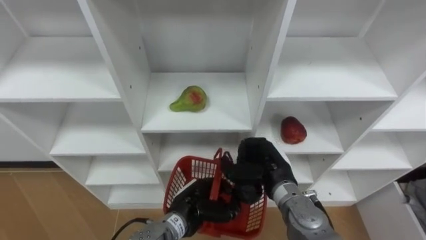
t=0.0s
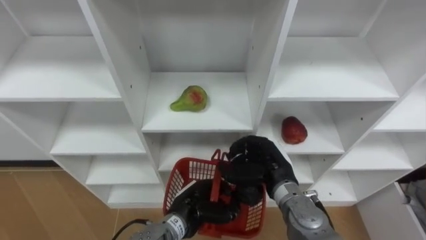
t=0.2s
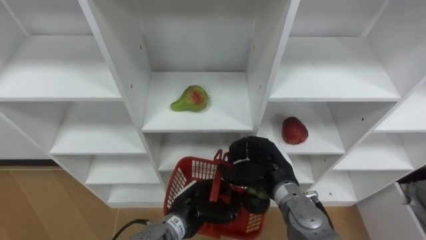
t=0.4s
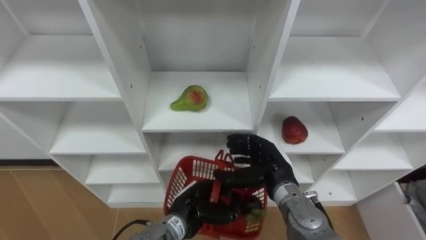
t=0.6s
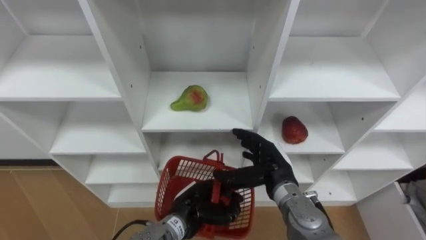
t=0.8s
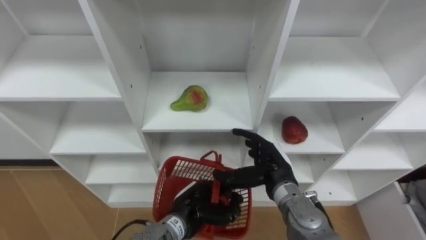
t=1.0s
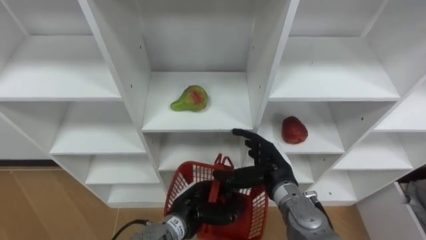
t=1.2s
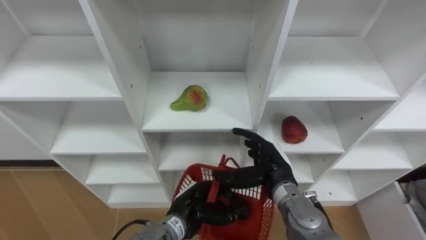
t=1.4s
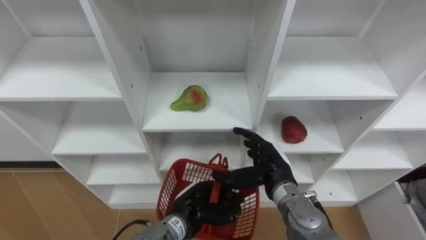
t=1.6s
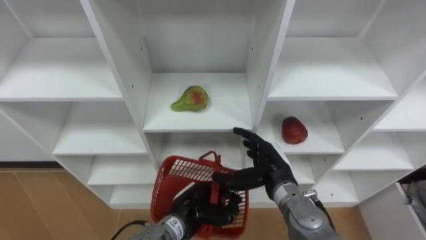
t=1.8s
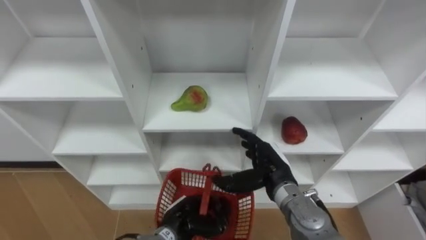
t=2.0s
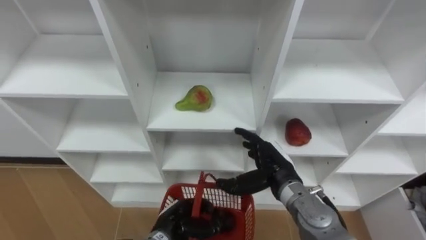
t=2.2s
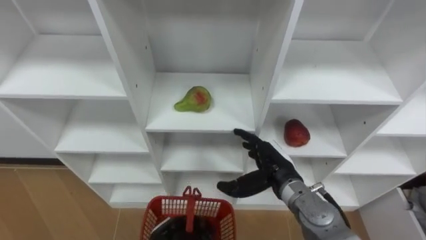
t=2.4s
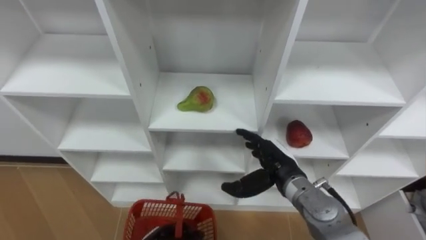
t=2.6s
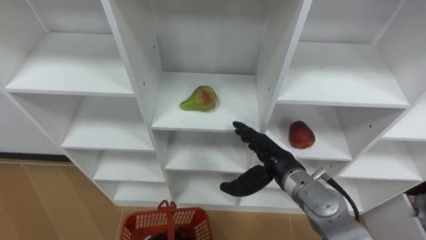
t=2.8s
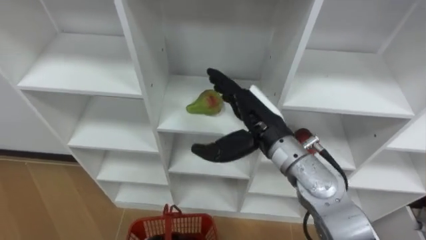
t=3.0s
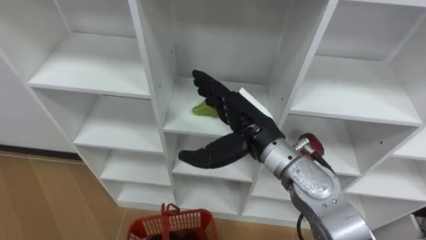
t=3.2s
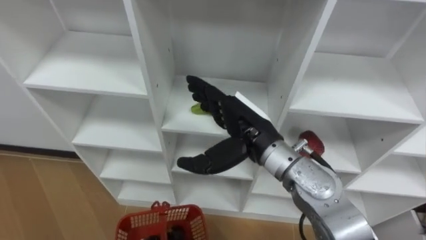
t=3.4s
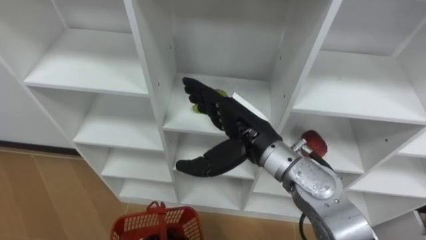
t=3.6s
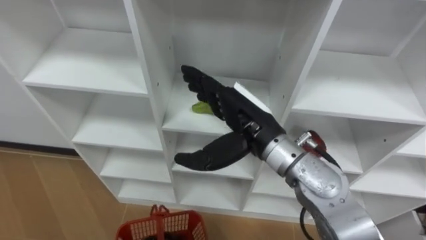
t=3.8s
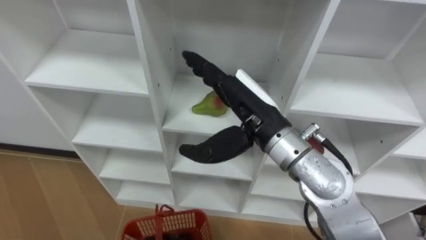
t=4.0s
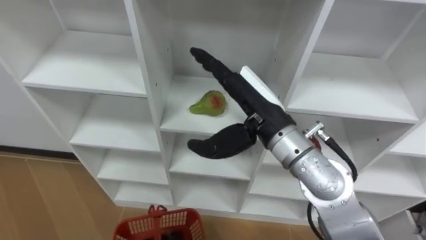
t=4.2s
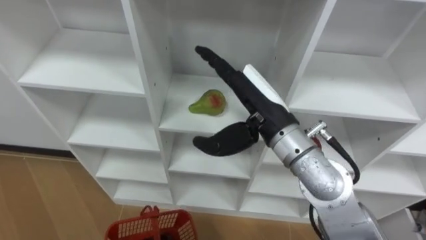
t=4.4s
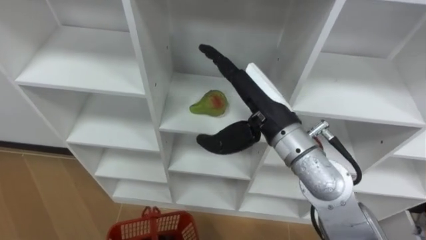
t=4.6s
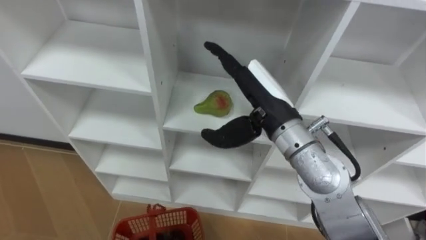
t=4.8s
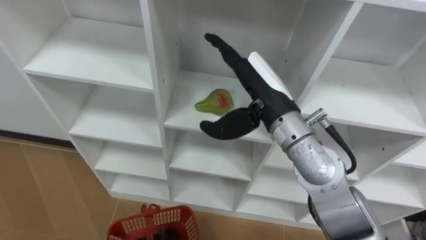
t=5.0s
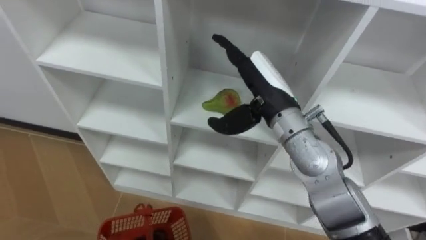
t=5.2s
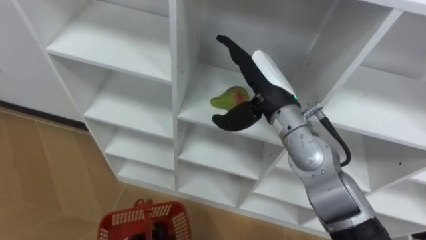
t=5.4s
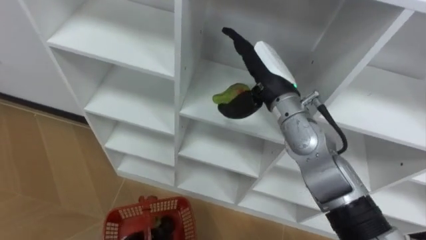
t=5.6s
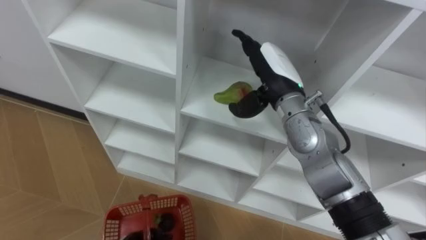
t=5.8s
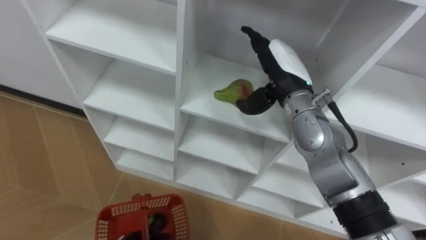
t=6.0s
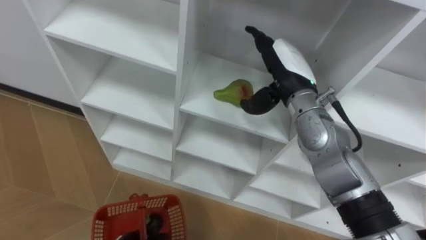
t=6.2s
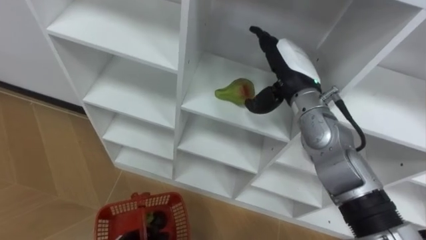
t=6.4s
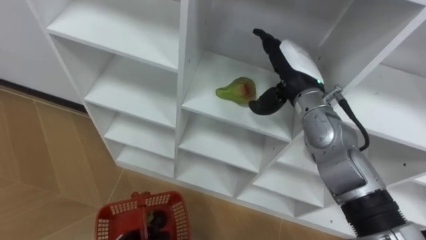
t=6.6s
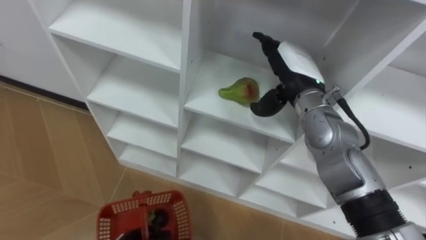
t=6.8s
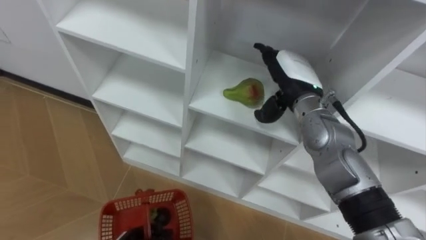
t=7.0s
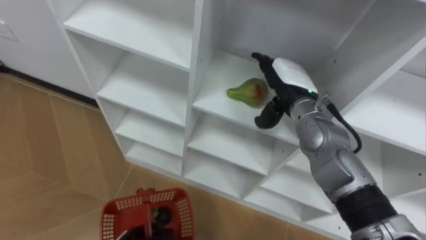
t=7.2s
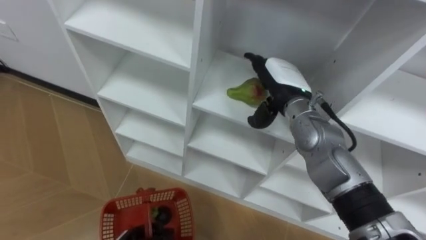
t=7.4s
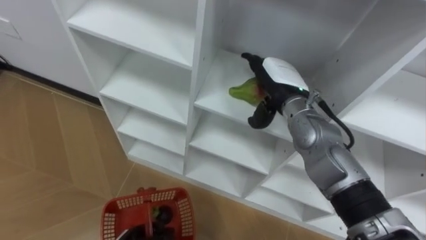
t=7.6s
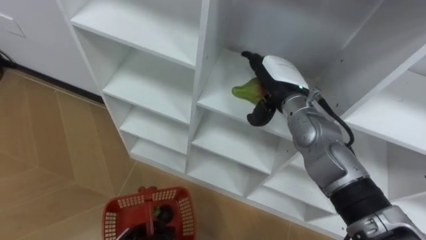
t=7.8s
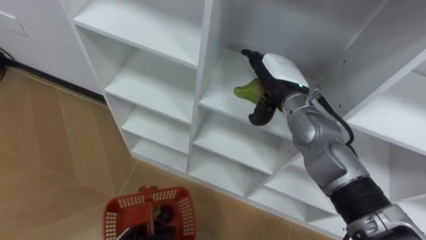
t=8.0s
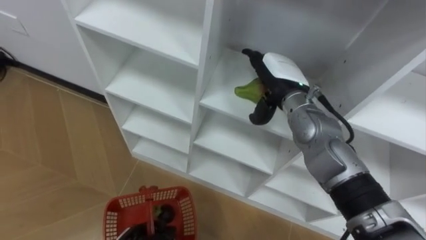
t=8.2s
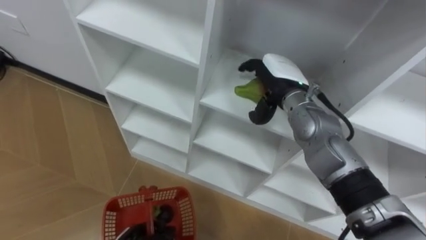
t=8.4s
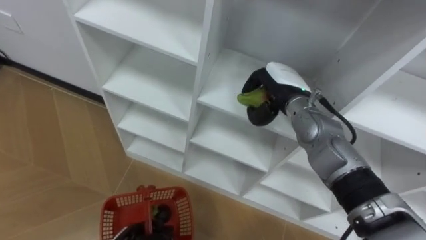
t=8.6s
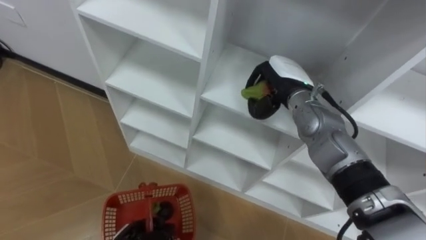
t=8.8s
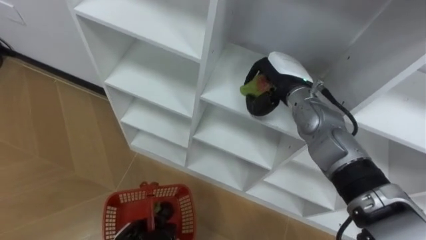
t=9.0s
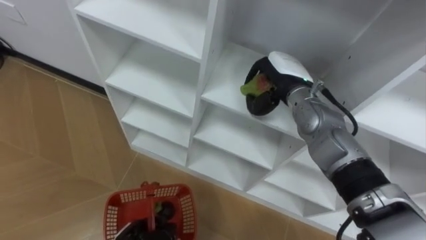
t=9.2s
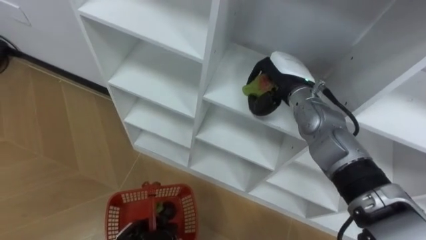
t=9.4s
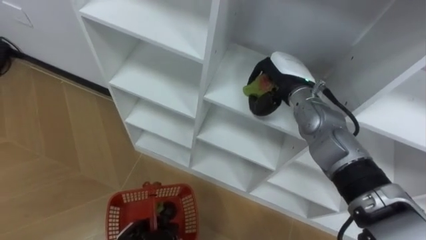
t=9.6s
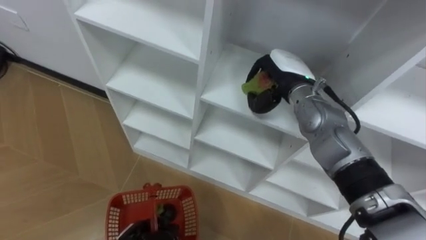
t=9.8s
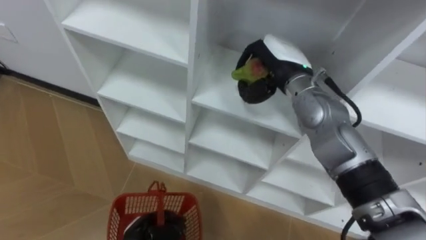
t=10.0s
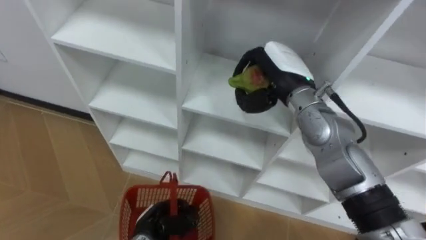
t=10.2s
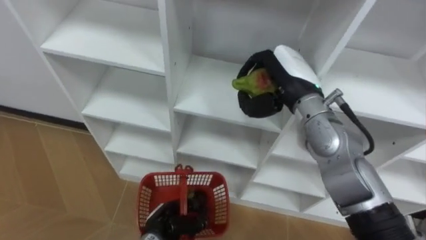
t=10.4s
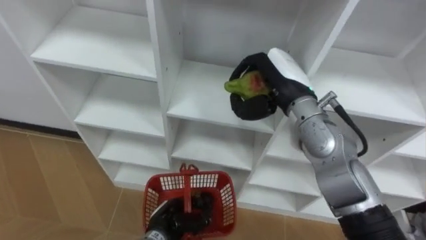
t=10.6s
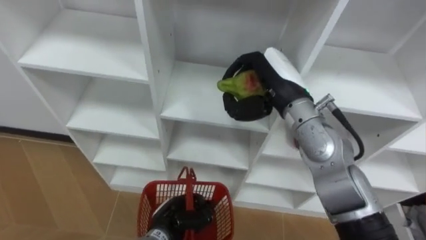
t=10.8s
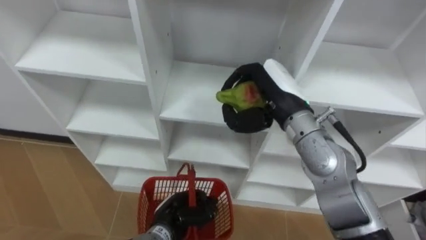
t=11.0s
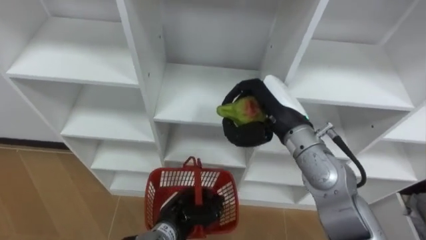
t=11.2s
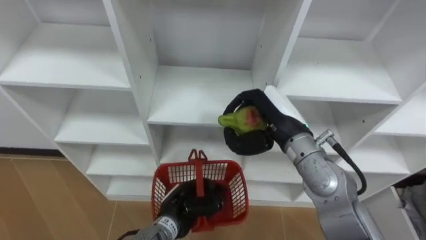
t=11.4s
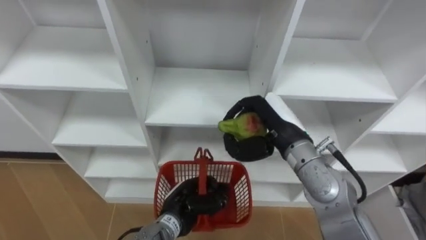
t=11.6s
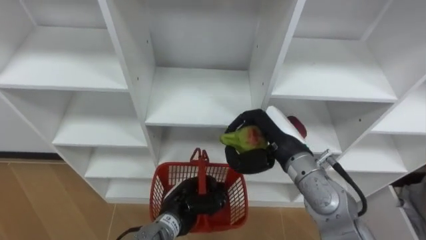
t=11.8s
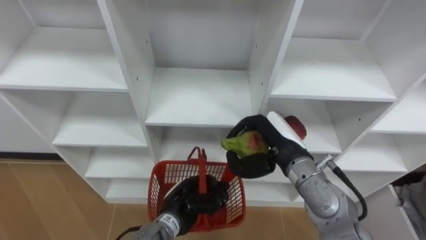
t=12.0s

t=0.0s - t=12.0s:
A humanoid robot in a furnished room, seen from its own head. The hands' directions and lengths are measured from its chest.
Task of the whole recording: Hold the basket and collect the fruits from 3 different cells of the closet into it.
t=0.0s - t=1.6s: The right hand opens up.
t=1.6s - t=3.0s: The right hand moves upward, about 10 cm.
t=3.0s - t=4.4s: The right hand travels upward by roughly 5 cm.
t=4.4s - t=6.0s: The right hand goes approximately 10 cm forward.
t=7.6s - t=9.0s: The right hand closes.
t=9.0s - t=10.4s: The right hand changes place by approximately 5 cm.
t=10.4s - t=12.0s: The right hand travels downward and backward by some 10 cm. Meanwhile the left hand changes place by approximately 5 cm.

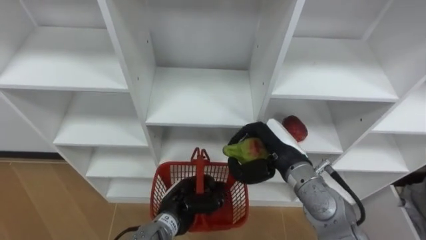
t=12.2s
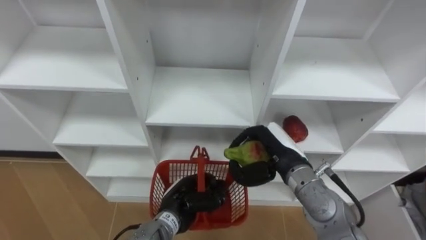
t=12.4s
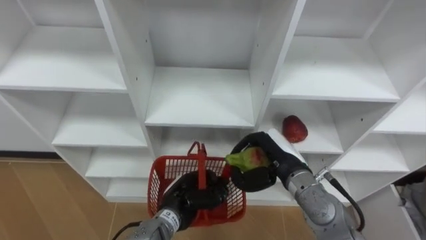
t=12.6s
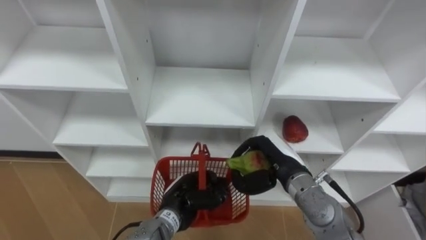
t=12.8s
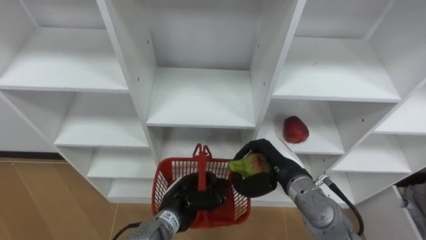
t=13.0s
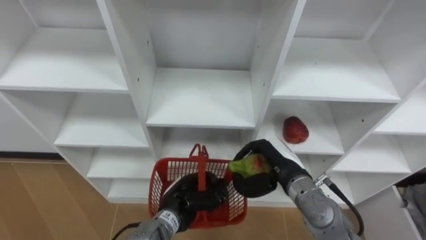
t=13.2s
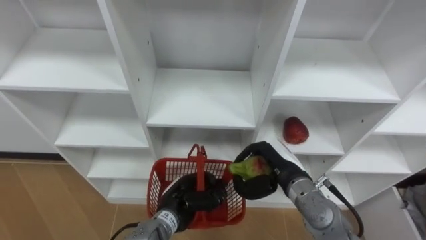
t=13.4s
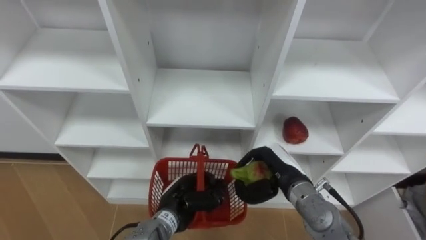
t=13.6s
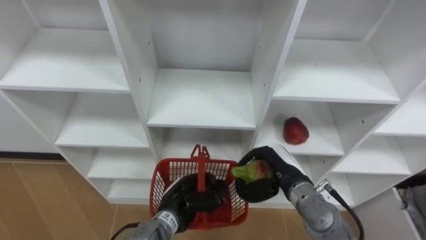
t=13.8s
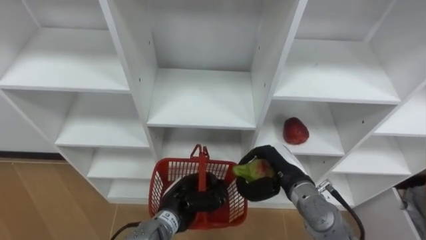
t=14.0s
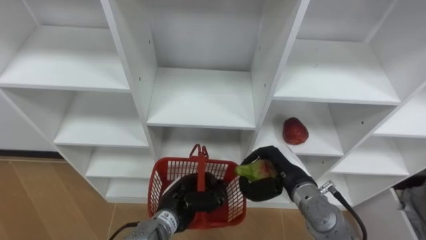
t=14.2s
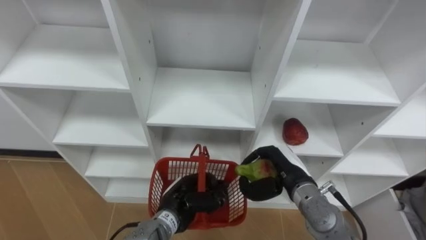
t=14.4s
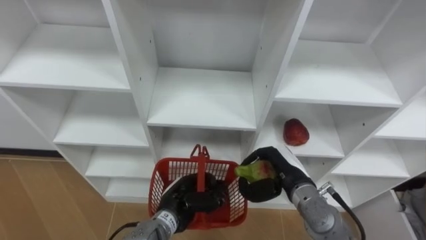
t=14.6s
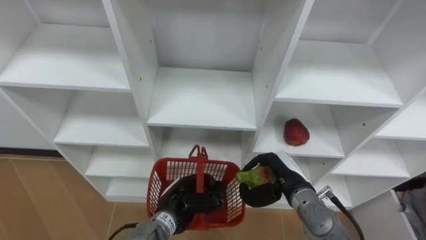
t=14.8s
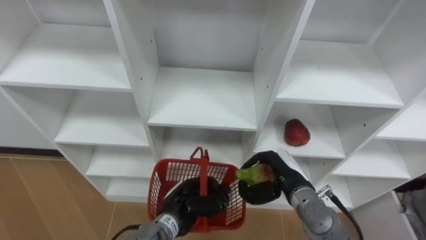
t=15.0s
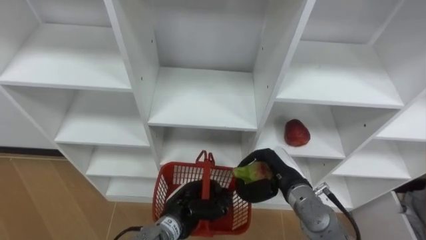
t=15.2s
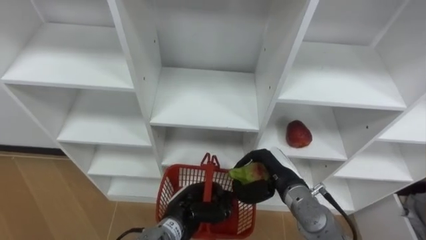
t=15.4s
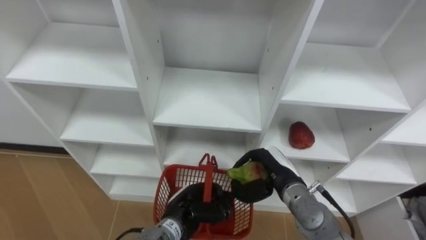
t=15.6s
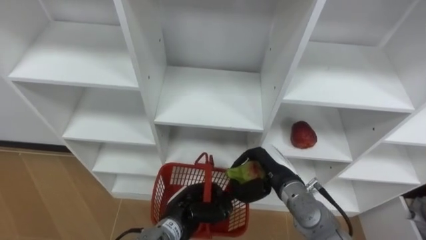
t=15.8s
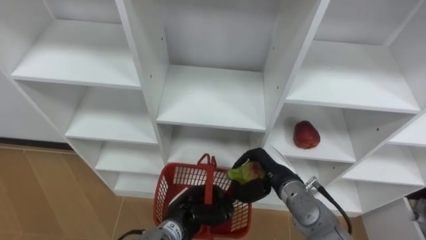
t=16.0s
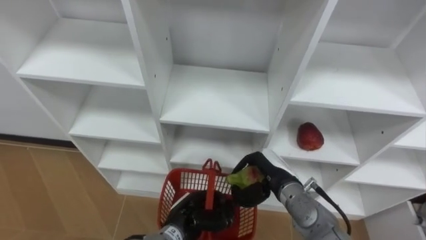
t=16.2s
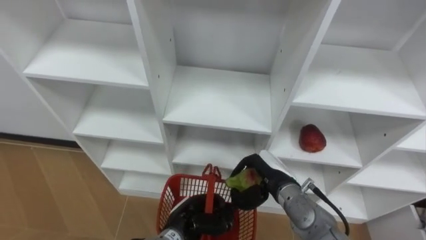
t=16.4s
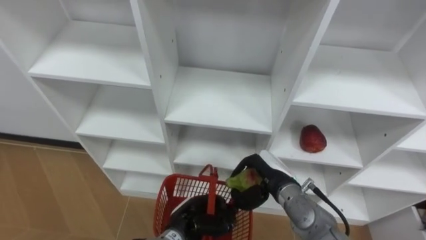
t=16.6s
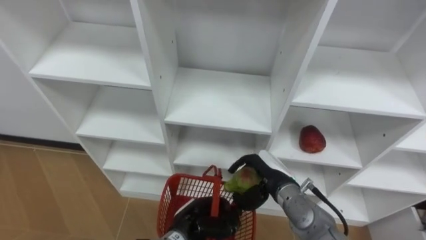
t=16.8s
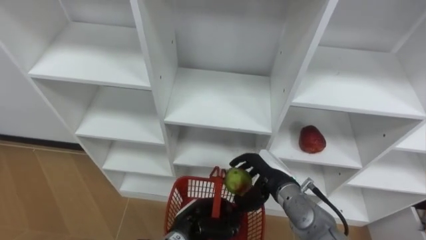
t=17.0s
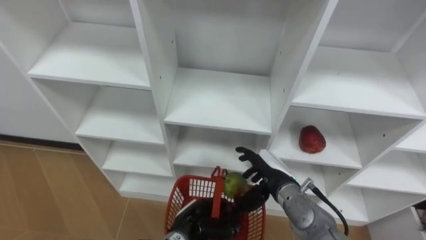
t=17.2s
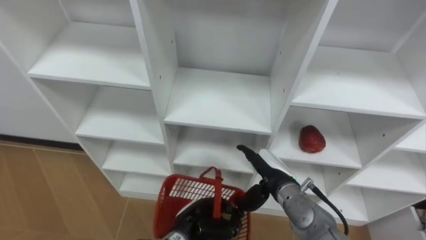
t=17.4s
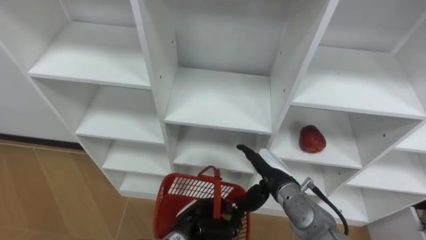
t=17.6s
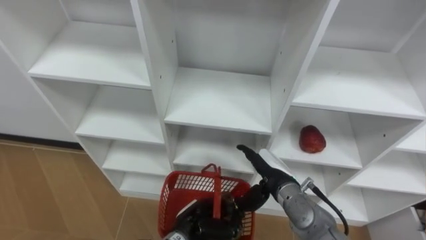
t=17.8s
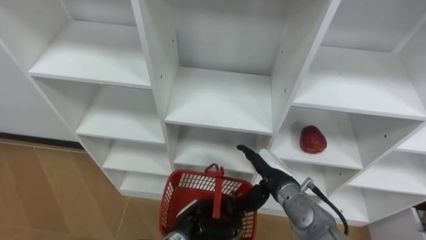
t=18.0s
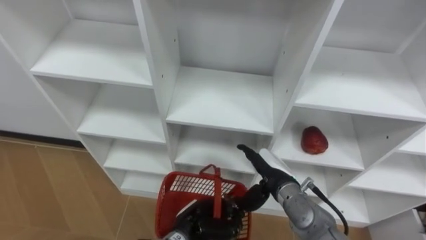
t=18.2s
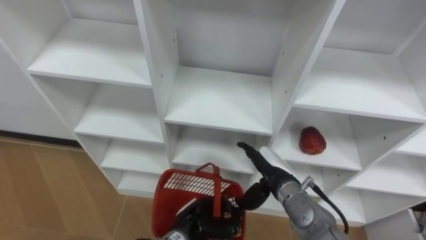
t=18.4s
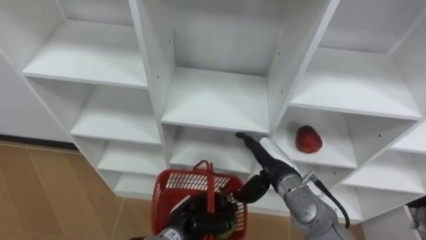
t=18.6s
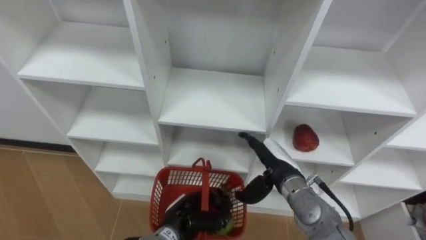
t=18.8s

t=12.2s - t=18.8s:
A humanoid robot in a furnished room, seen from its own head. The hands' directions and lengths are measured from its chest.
Task of the whole recording: Hold the basket and collect the fruits from 3 different cells of the closet into it.
t=12.2s - t=13.8s: The right hand shifts approximately 5 cm downward.
t=13.8s - t=15.4s: The hands stay close to where they were, moving slightly.
t=15.4s - t=17.2s: The right hand opens up.
